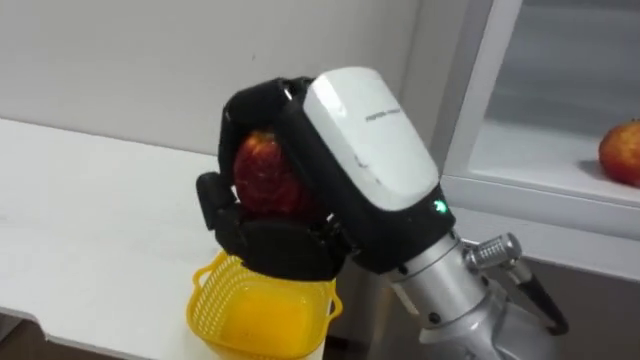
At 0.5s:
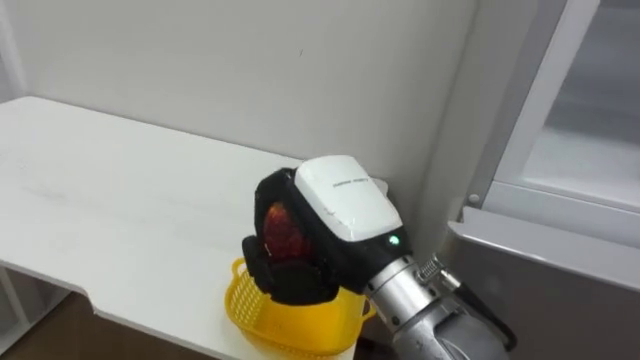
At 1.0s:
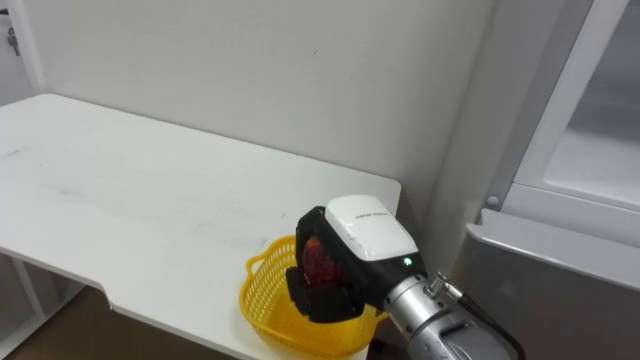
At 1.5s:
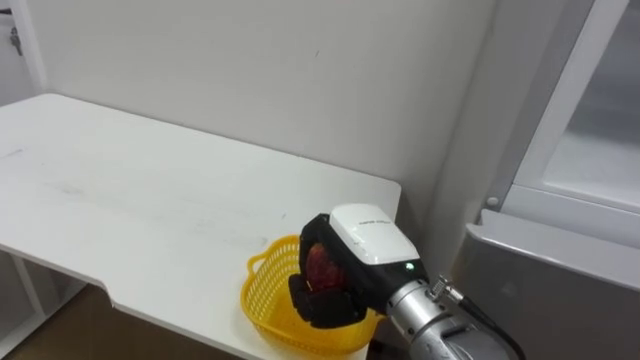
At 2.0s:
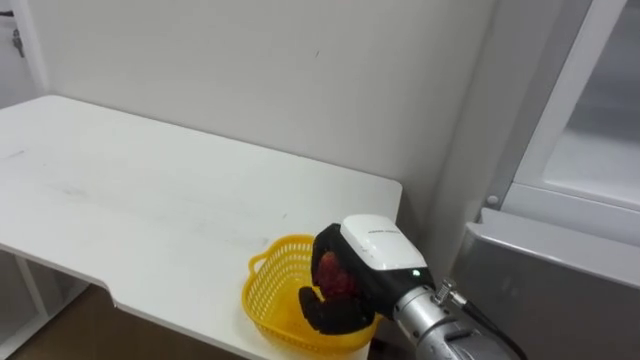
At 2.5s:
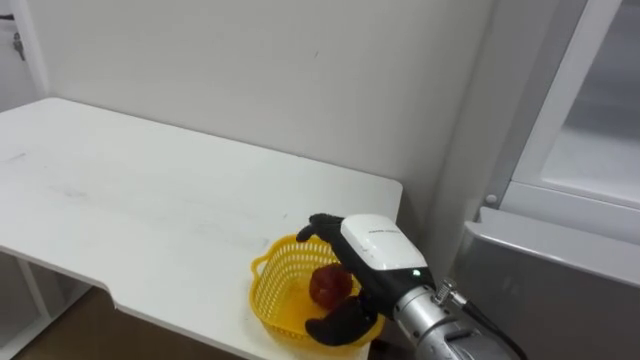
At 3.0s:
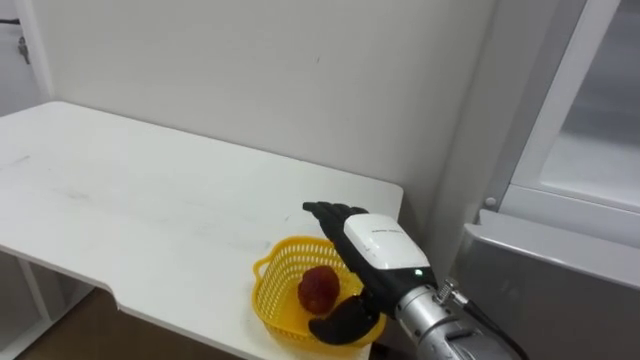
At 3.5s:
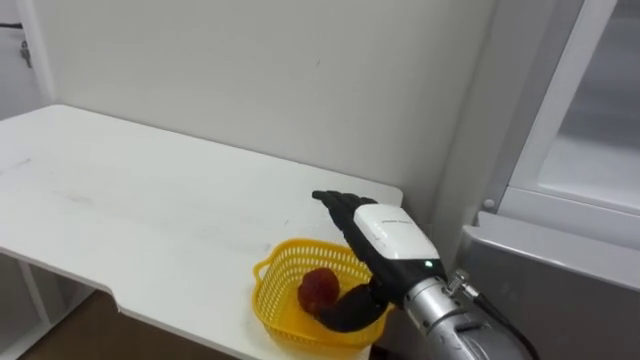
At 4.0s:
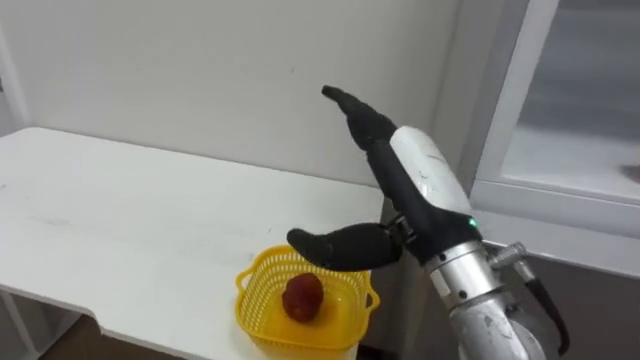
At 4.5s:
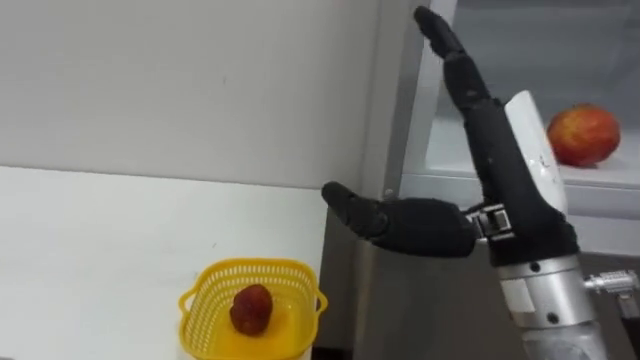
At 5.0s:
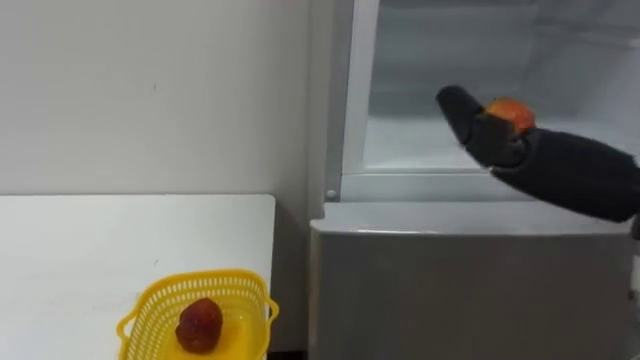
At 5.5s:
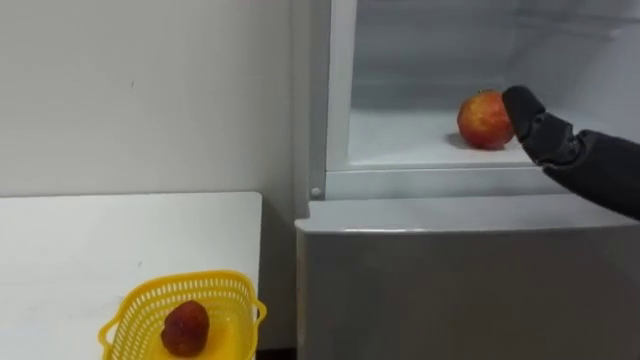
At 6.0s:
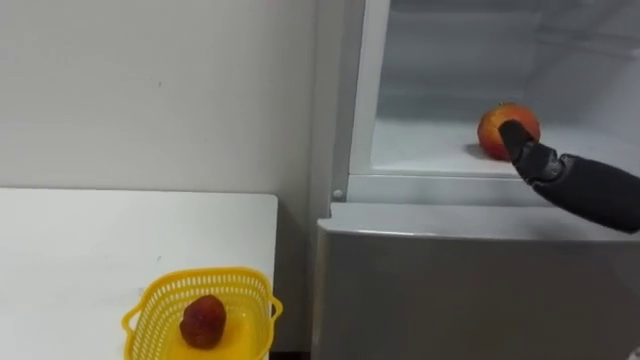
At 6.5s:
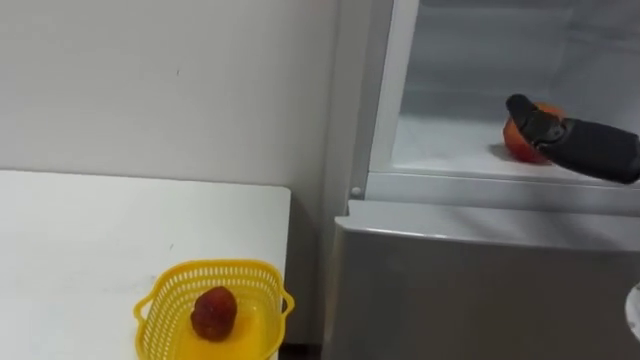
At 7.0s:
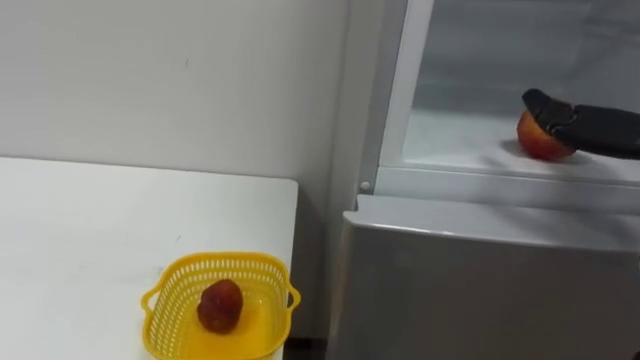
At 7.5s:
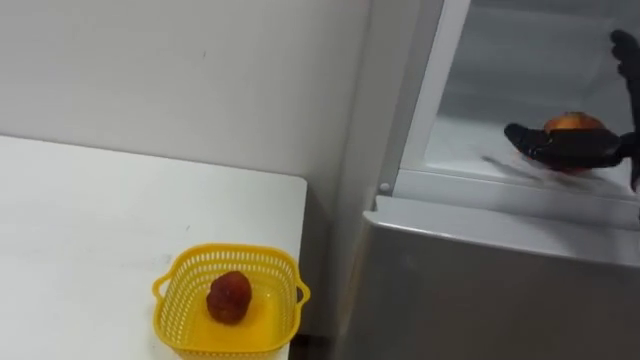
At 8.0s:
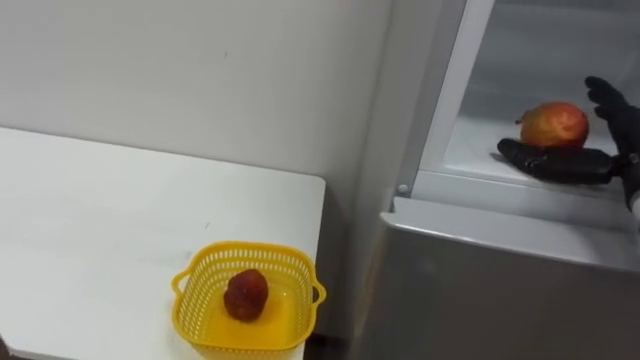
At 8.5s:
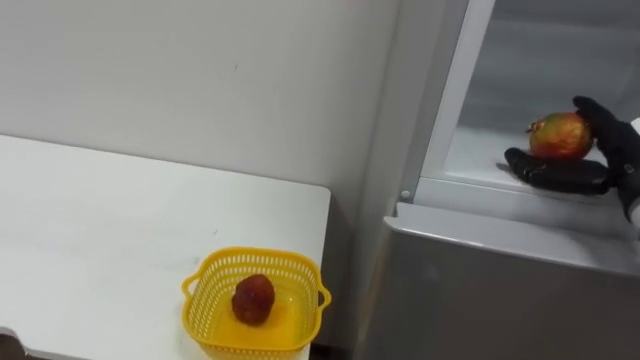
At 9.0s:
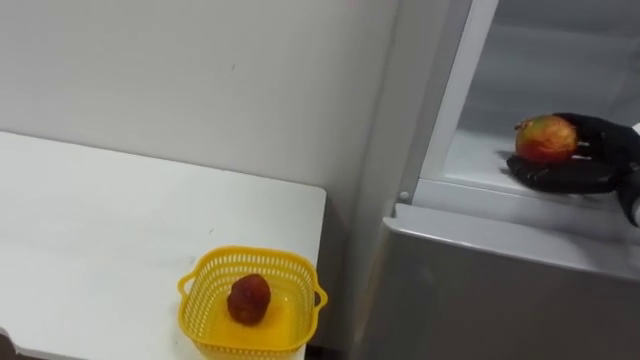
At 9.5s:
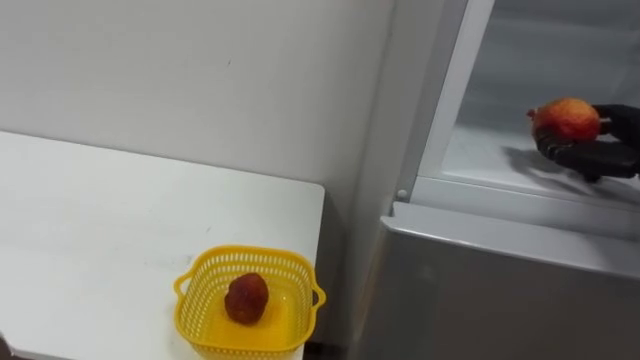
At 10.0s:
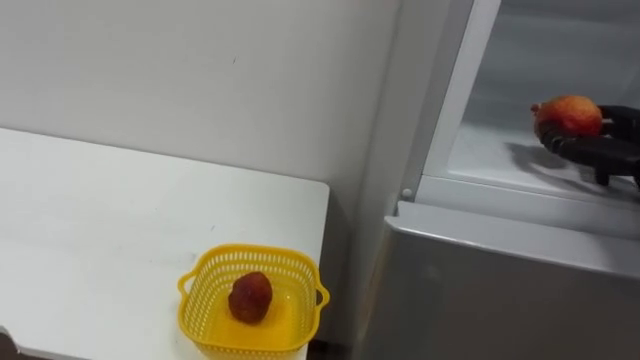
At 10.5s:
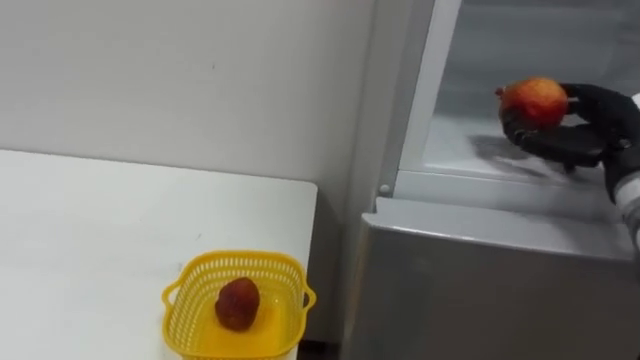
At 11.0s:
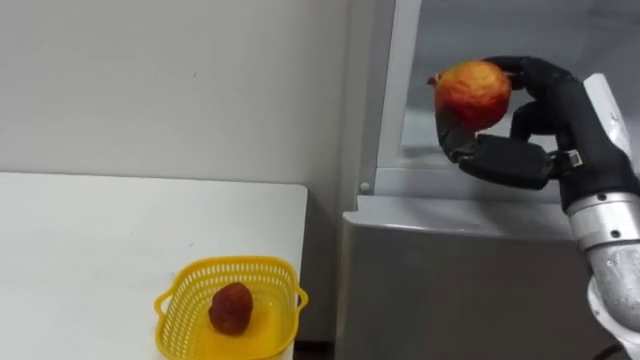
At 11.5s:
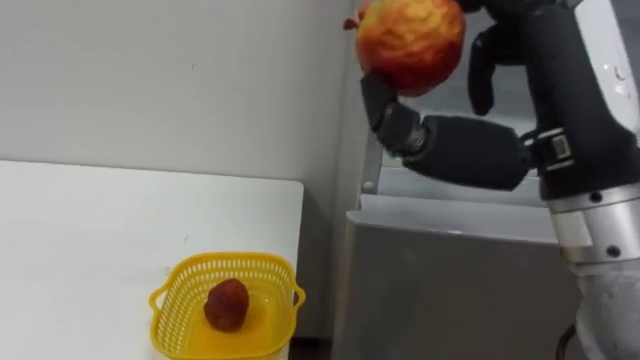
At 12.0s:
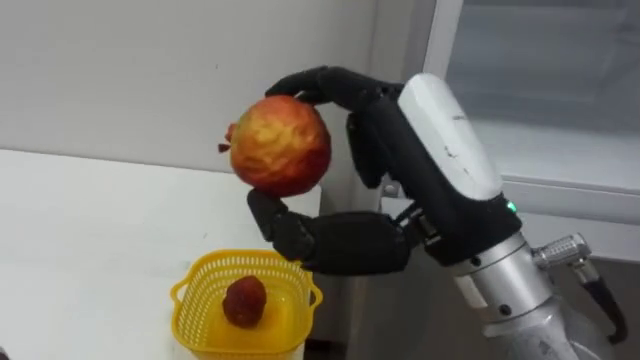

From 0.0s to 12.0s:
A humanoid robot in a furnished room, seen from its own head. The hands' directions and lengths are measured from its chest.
Task of the whole recording: Open the refrigerator door, take out the apple and the pomegranate, place them in the fruit basket on the left, and close the refrigerator door.
From 0.0s to 2.0s: The right hand heads downward and forward, covering about 20 cm.
From 2.0s to 4.0s: The right hand moves upward, some 10 cm, and opens its fingers.

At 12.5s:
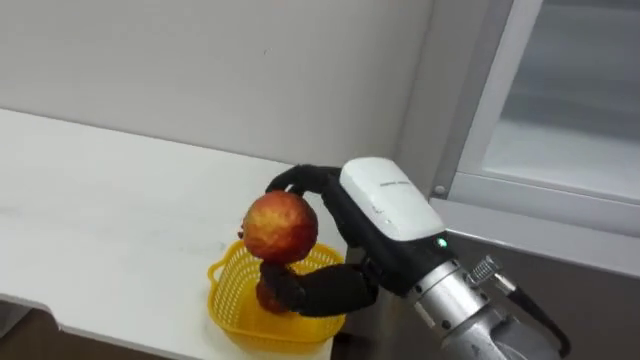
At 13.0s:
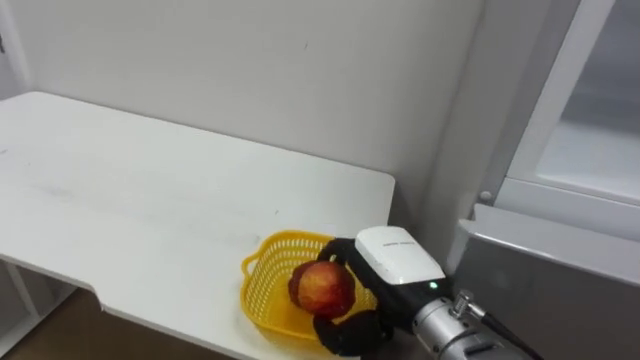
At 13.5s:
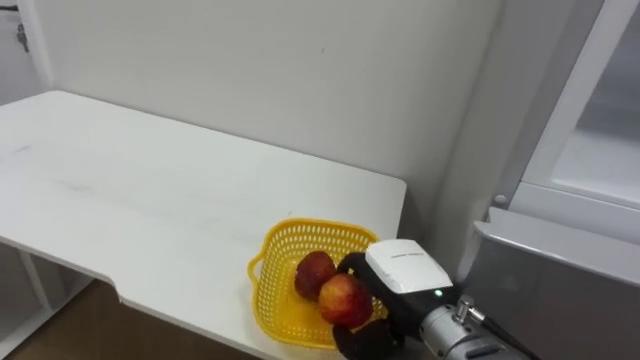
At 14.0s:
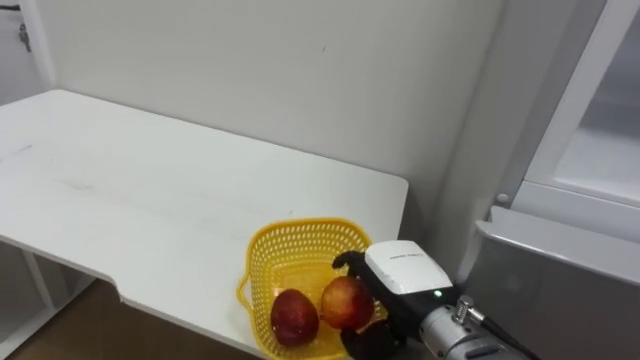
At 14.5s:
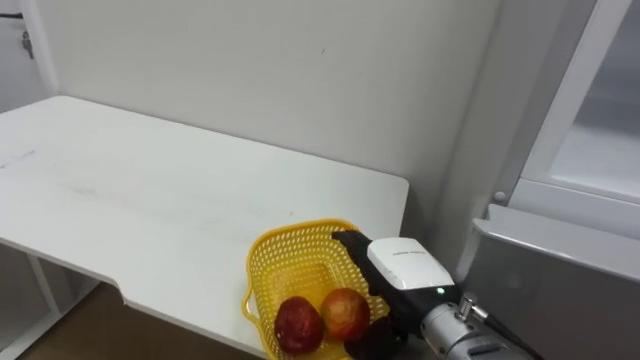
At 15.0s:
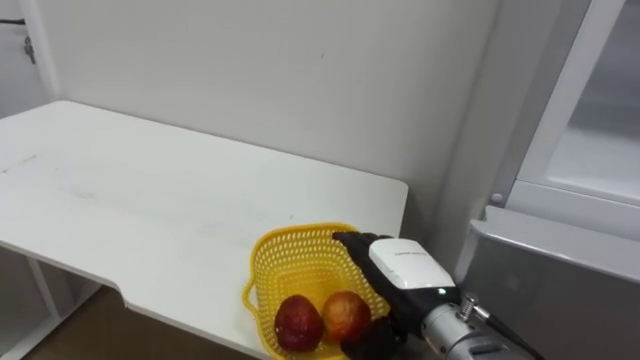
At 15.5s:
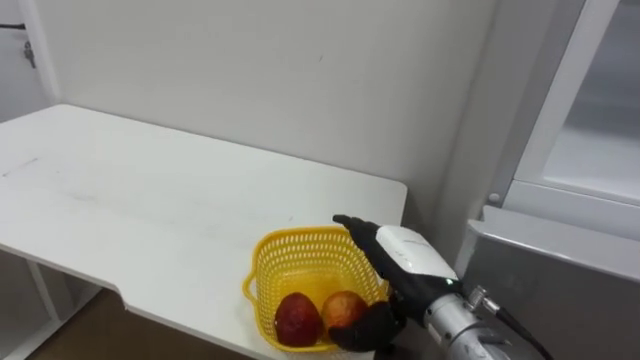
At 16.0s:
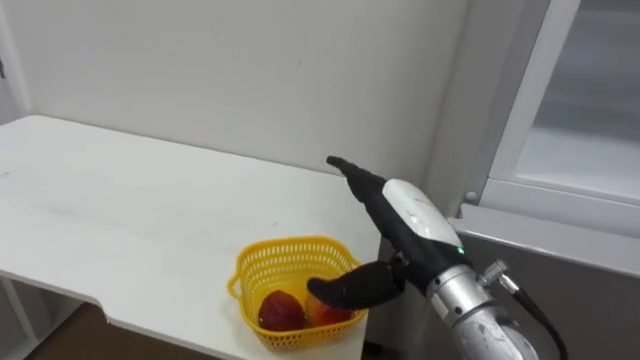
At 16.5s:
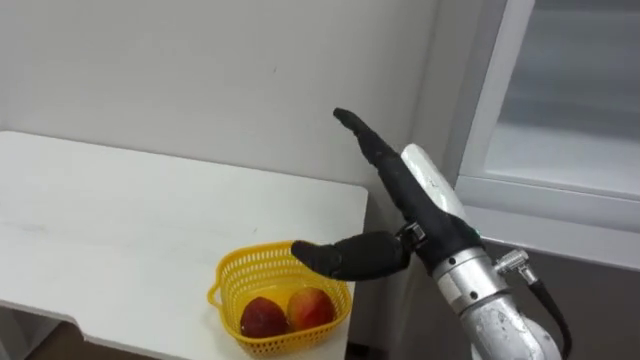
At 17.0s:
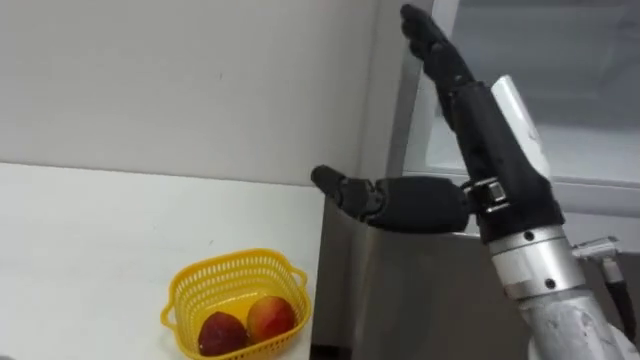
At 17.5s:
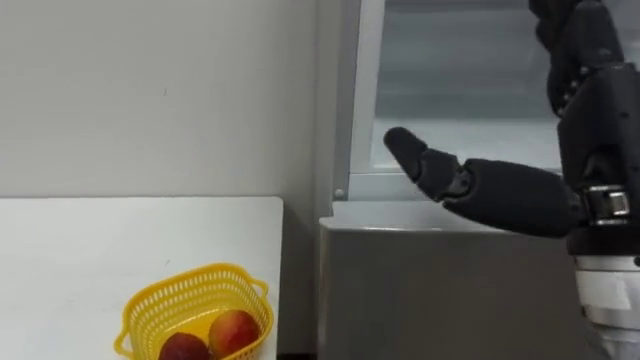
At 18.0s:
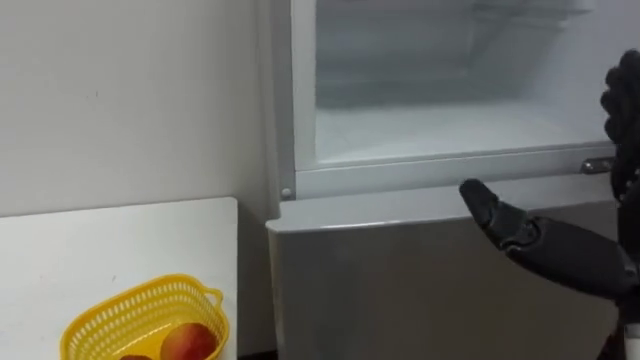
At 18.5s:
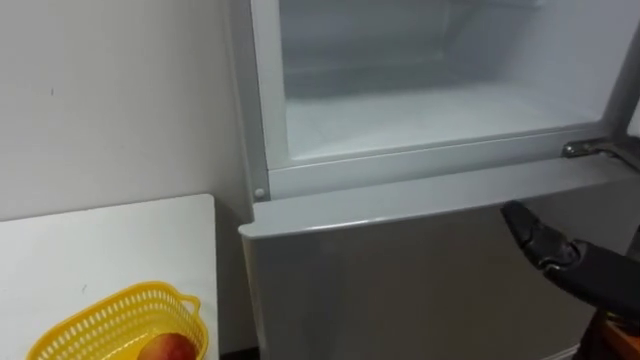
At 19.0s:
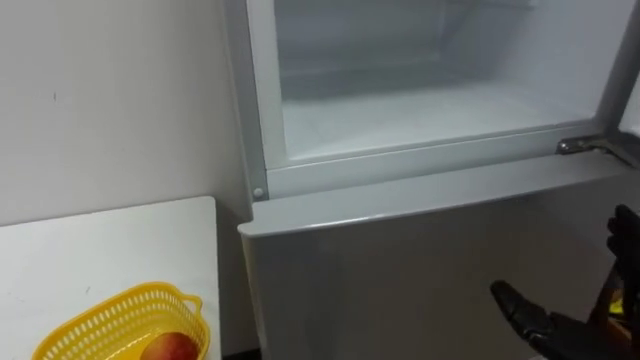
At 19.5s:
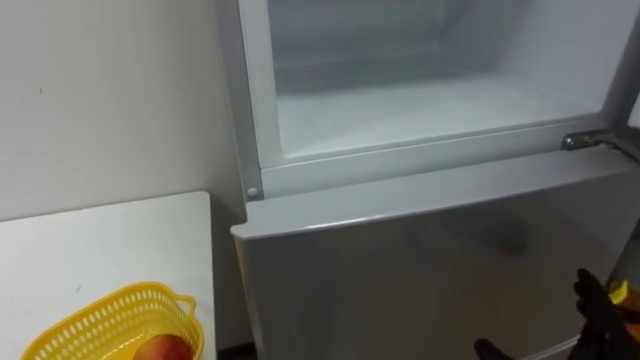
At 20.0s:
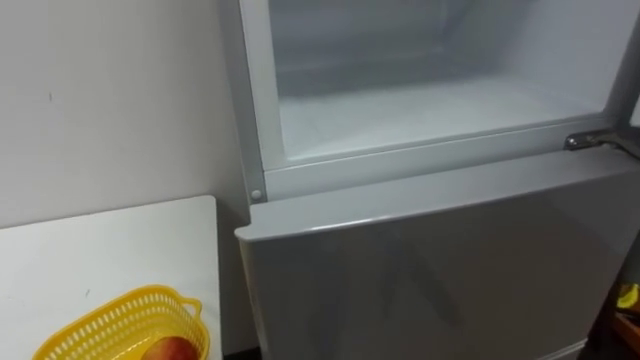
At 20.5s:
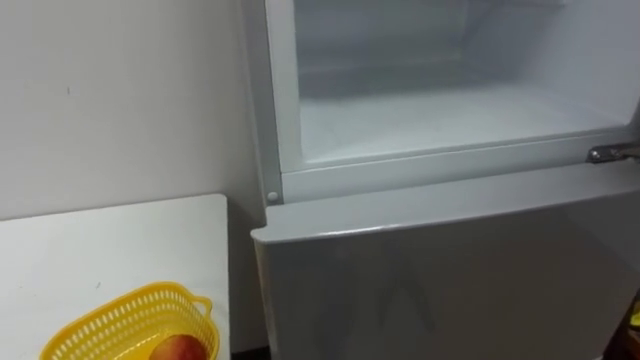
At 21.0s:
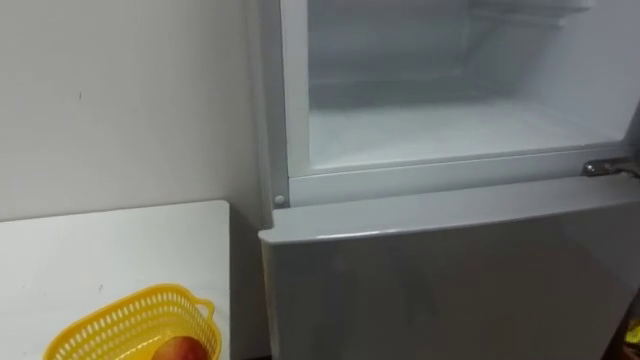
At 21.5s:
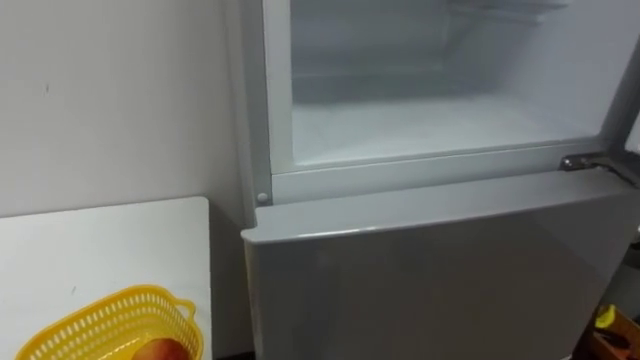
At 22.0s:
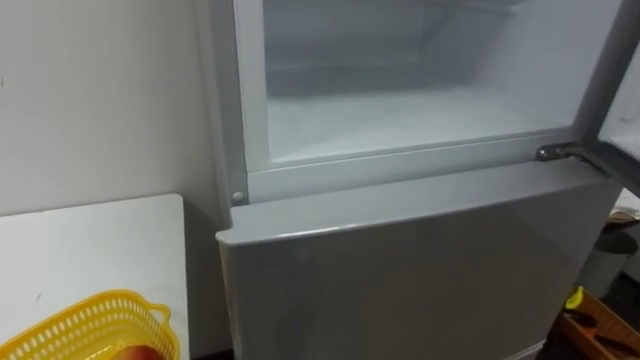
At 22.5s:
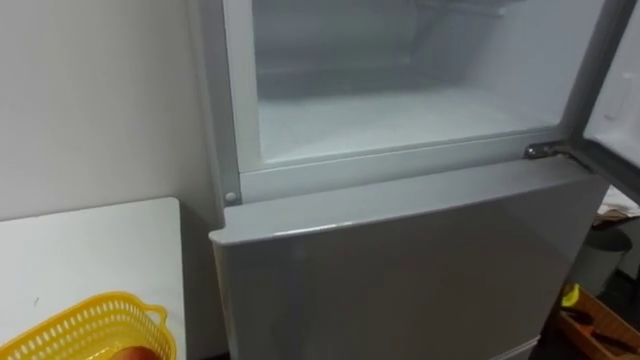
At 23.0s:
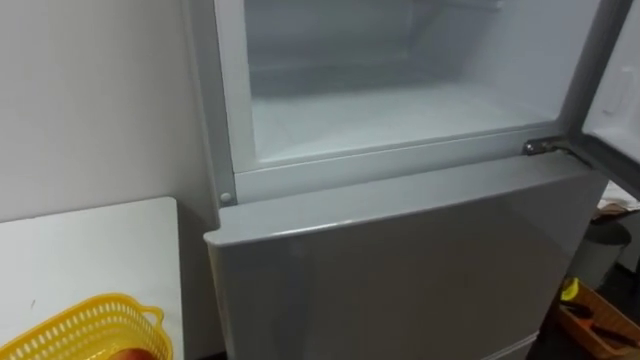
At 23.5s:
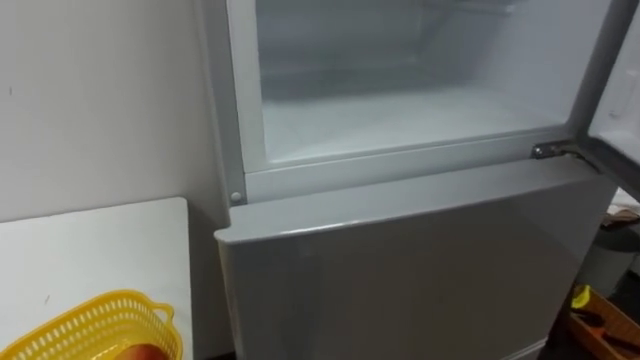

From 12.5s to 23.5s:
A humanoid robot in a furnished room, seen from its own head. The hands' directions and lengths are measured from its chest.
Task of the whole recording: Open the refrigerator door, take out the apple and the pomegranate, place them in the fruit basket on the left, and close the refrigerator door.
From 12.5s to 14.5s: The right hand heads downward and forward, covering approximately 15 cm, and opens up.
From 14.5s to 16.0s: The right hand goes approximately 5 cm upward.
From 16.0s to 18.0s: The right hand shifts approximately 20 cm to the right, backward and upward.
